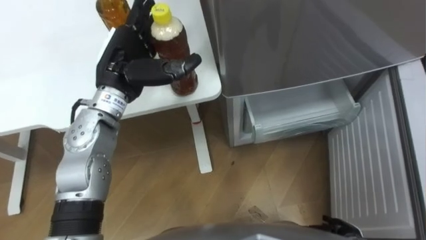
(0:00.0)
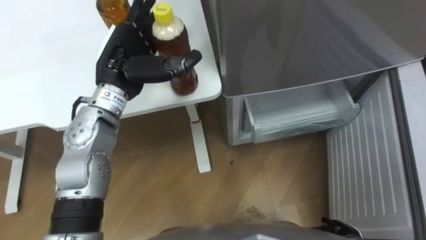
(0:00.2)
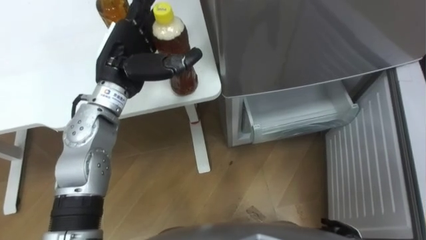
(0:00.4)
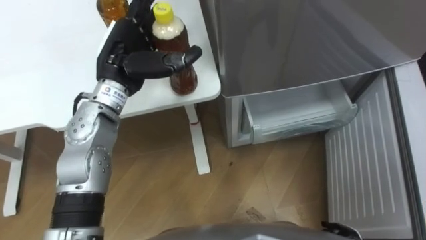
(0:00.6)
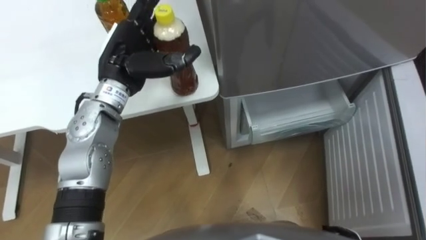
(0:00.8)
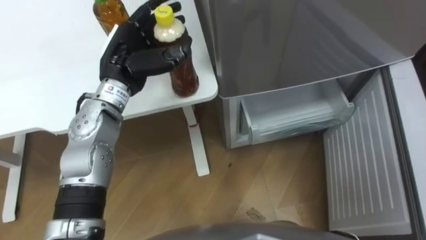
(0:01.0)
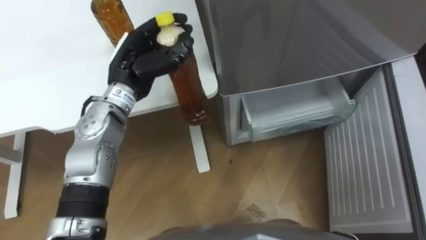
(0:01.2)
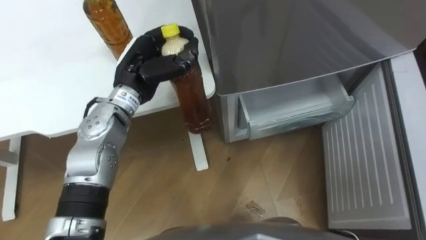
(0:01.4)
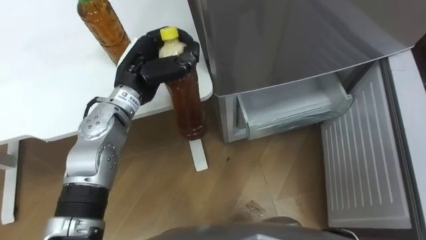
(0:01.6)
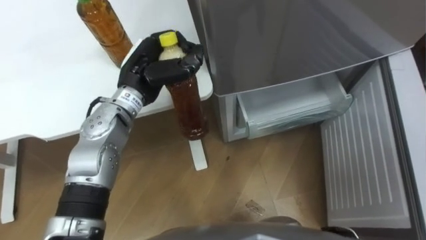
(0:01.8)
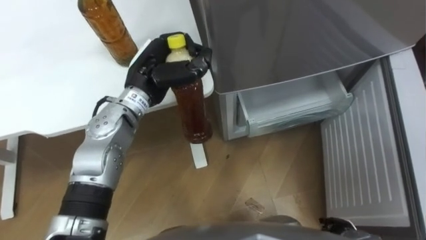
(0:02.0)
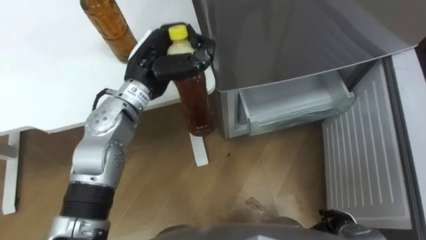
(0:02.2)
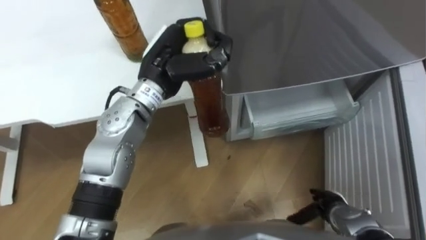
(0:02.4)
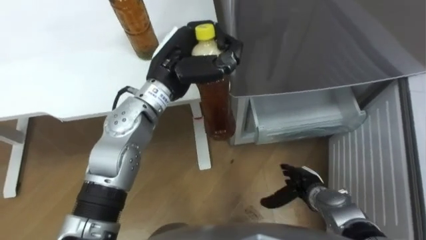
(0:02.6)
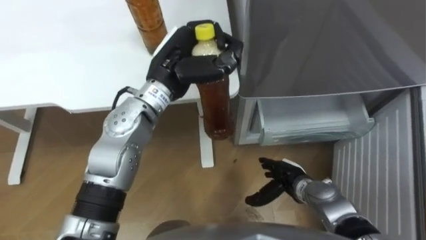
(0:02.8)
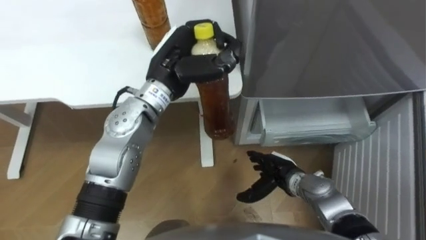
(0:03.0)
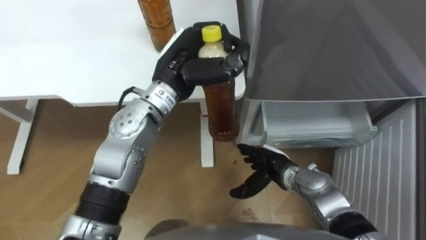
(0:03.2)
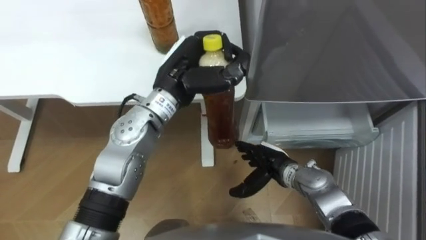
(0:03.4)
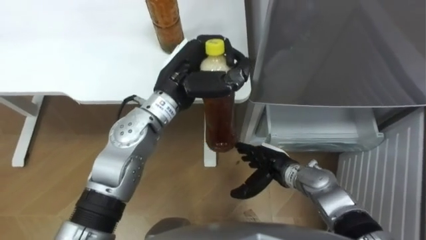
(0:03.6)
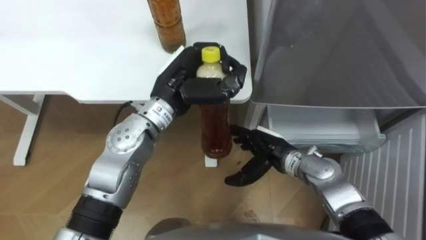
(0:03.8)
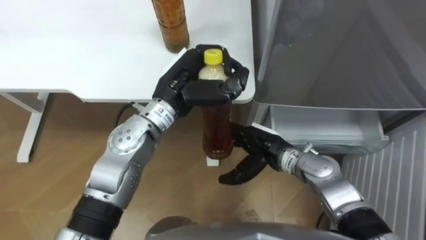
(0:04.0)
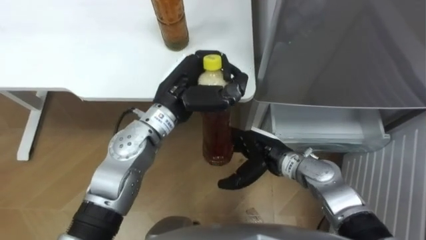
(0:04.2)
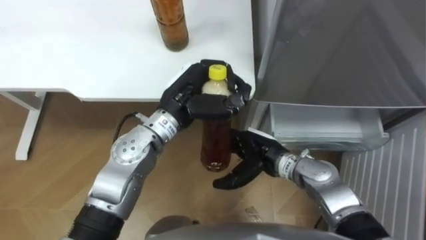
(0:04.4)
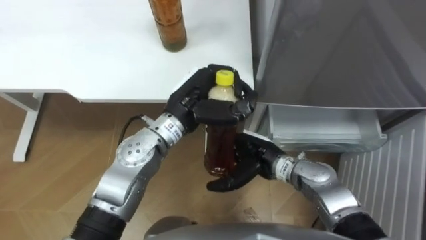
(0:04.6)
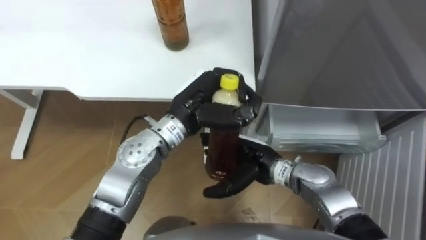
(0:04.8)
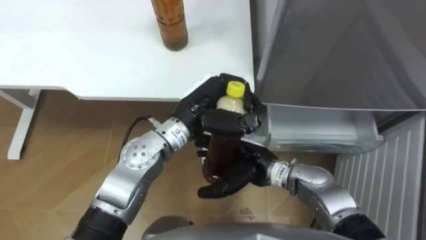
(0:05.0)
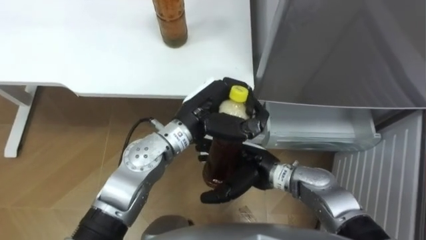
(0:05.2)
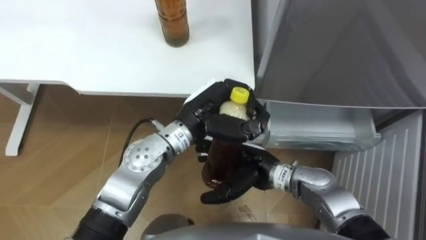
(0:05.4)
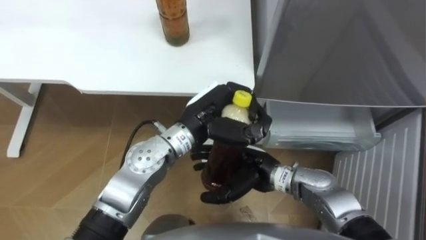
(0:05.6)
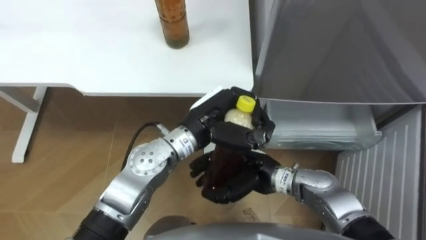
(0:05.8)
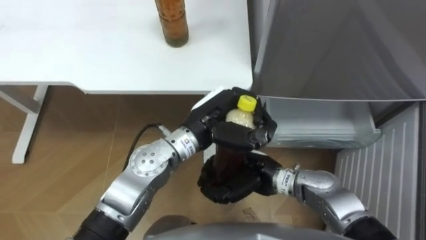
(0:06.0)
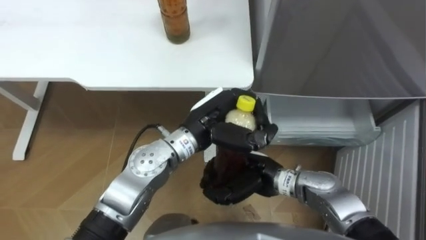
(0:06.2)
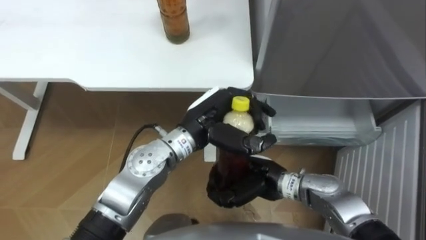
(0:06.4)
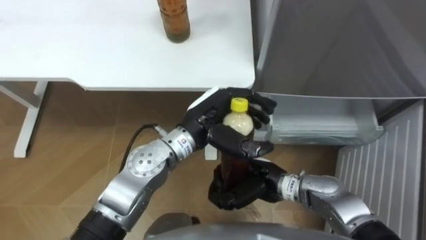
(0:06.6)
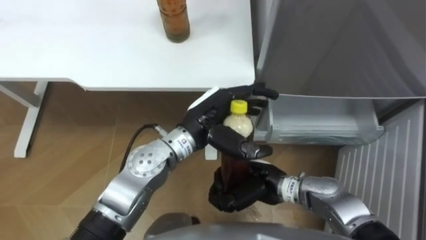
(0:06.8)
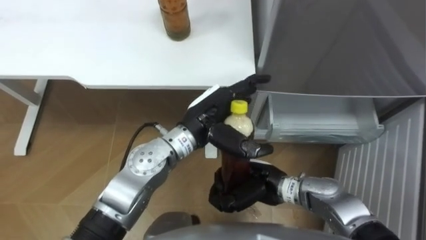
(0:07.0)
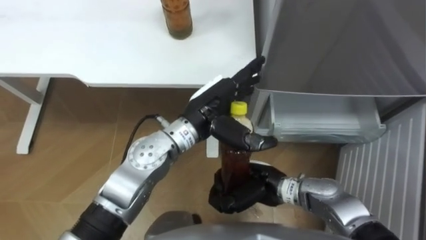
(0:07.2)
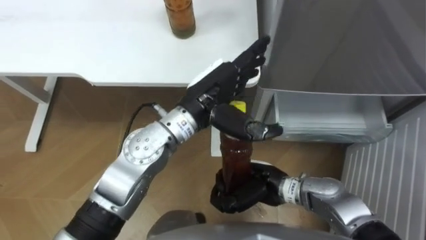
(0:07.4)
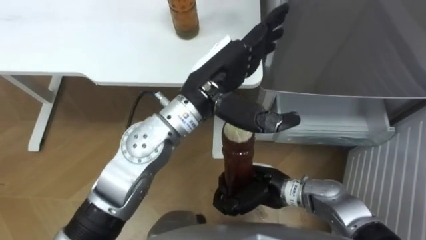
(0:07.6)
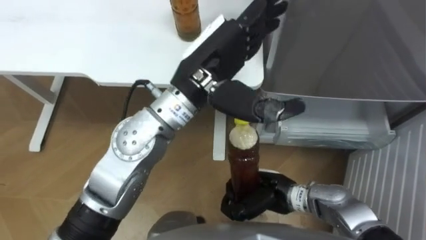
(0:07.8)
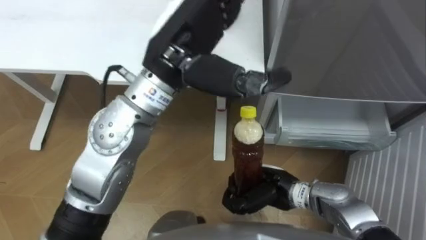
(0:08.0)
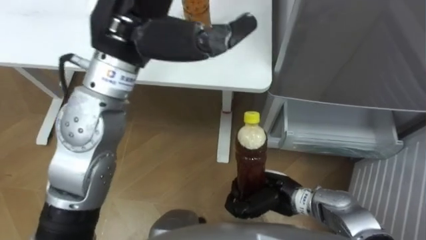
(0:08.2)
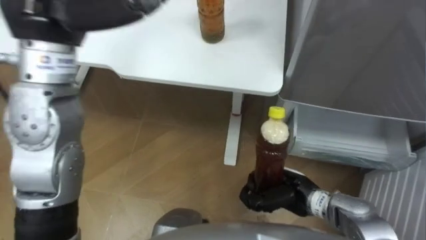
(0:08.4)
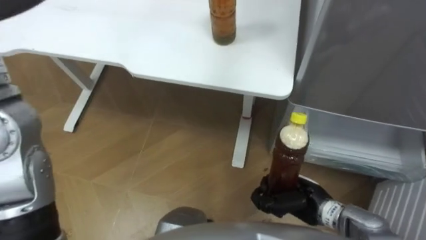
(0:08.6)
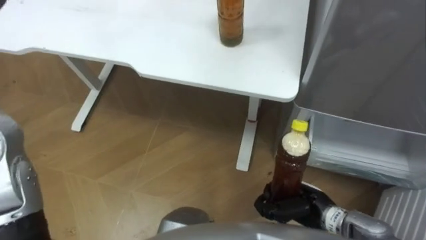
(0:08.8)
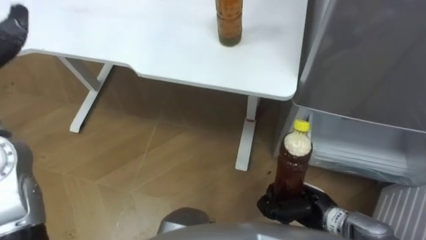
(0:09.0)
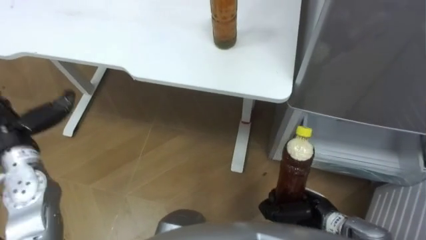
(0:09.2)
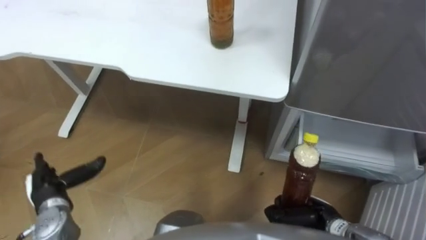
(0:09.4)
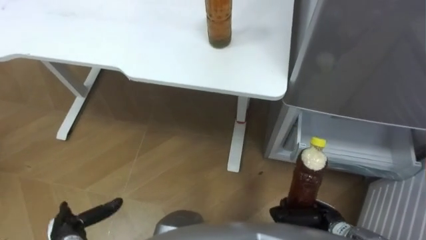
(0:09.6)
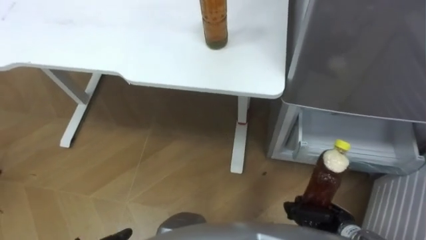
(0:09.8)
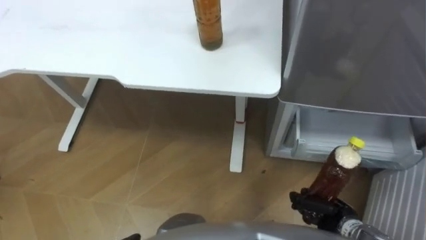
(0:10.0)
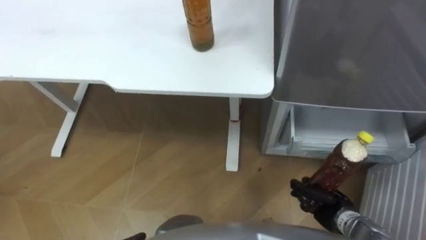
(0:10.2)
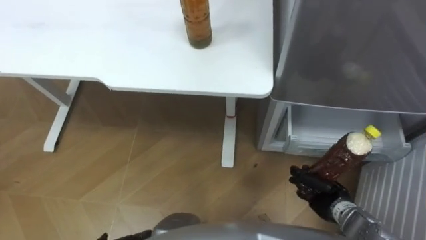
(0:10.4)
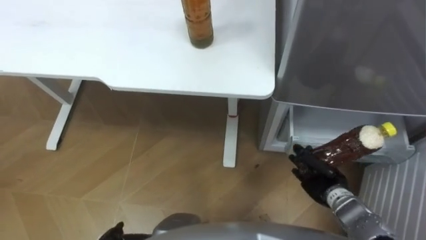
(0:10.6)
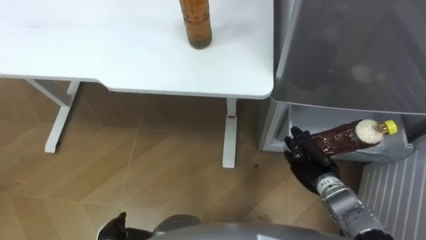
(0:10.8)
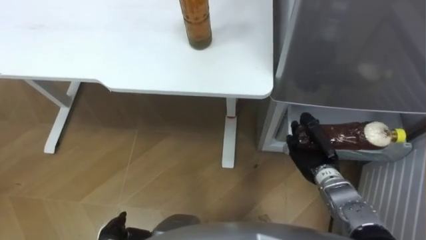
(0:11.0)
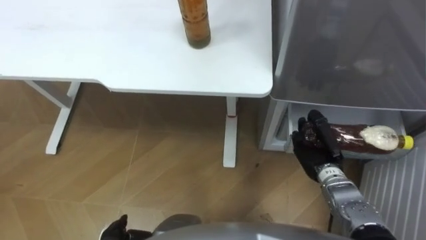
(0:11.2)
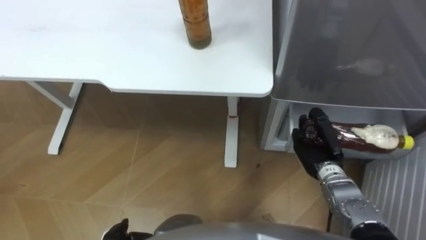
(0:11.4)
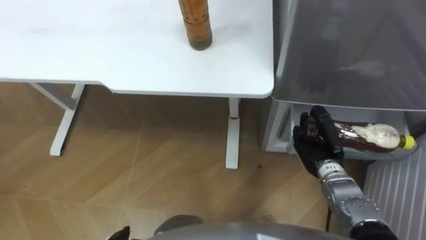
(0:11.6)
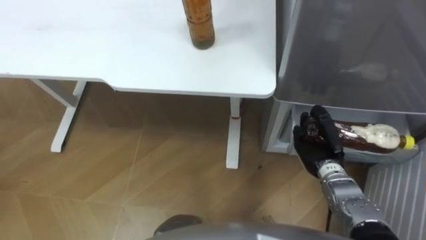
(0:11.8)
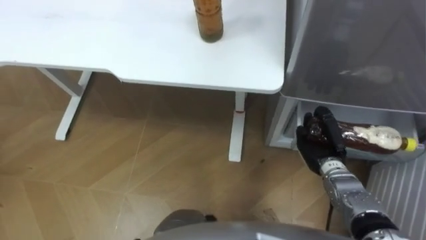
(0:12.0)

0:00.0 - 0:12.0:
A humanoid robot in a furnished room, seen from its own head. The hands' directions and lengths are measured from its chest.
Task of the whole recording: Place the drink on the table on the bottom shelf of the refrigerator, then close the drawer and the refrigerator door.
0:00.0 - 0:01.6: The left hand closes its fingers.
0:01.6 - 0:03.0: The left hand is displaced to the right by about 5 cm.
0:03.0 - 0:04.4: The right hand goes some 10 cm upward and to the left. Meanwhile the left hand ends up roughly 5 cm from where it was.
0:04.4 - 0:06.0: The right hand closes up; the left hand moves some 5 cm.
0:06.0 - 0:07.6: The left hand travels upward by about 10 cm, and opens up.
0:07.6 - 0:09.0: The right hand is displaced to the right by roughly 10 cm.
0:09.0 - 0:10.4: The right hand is displaced to the right by approximately 5 cm.
0:10.4 - 0:12.0: The right hand travels forward by some 10 cm.

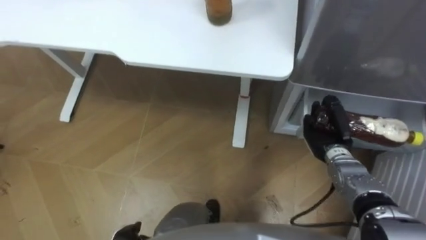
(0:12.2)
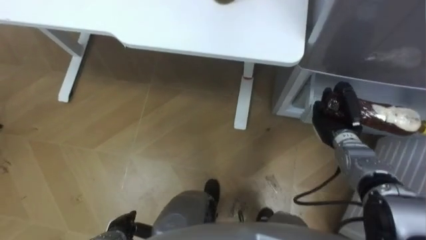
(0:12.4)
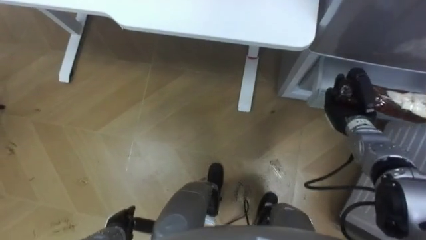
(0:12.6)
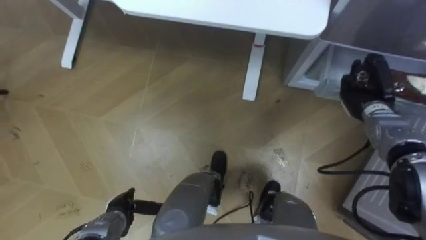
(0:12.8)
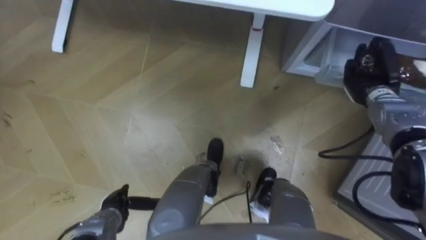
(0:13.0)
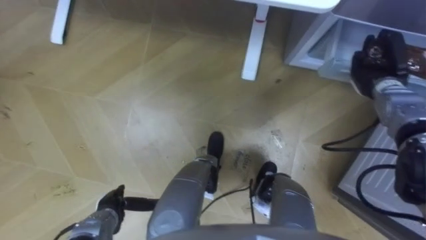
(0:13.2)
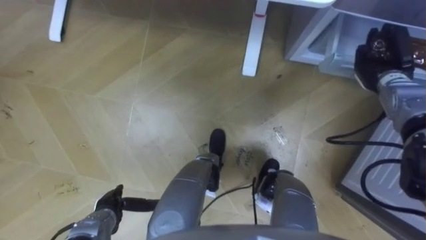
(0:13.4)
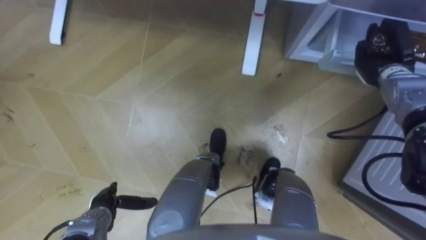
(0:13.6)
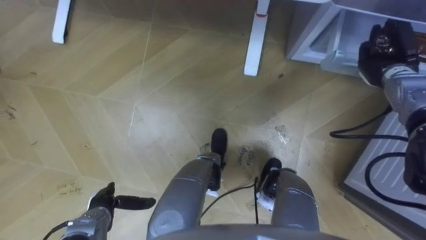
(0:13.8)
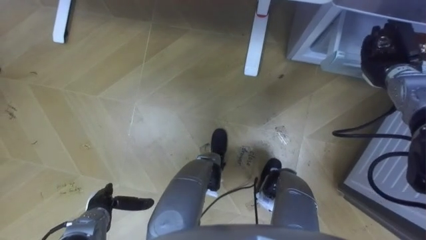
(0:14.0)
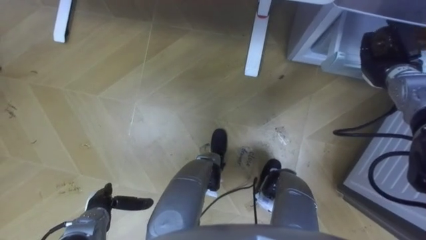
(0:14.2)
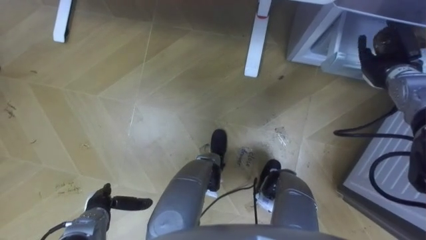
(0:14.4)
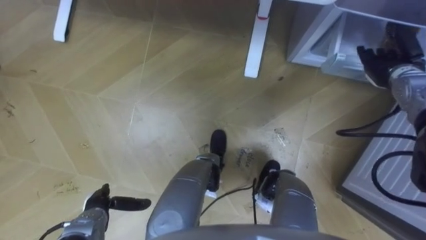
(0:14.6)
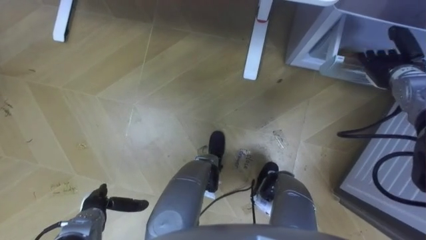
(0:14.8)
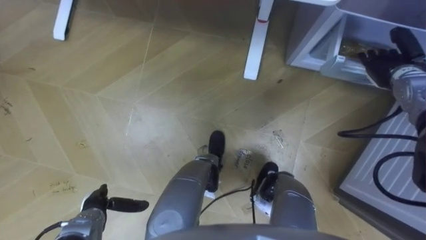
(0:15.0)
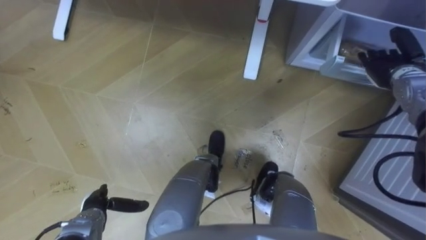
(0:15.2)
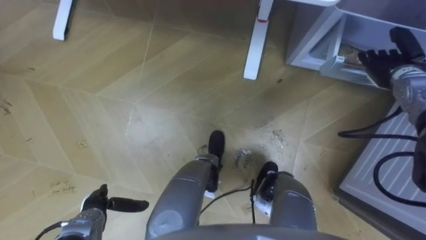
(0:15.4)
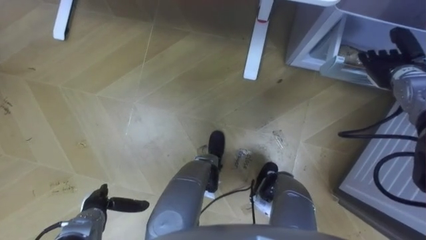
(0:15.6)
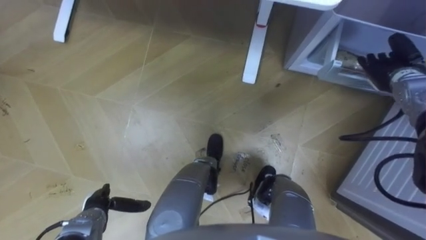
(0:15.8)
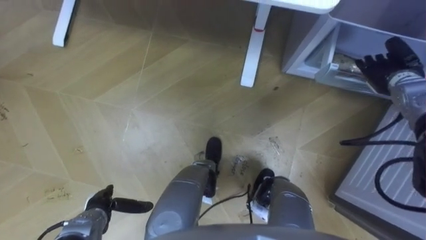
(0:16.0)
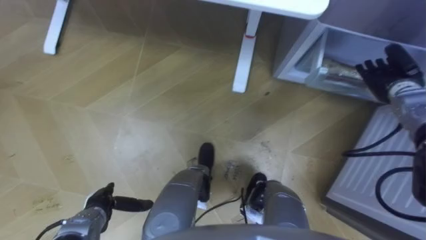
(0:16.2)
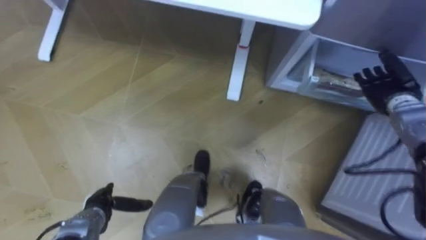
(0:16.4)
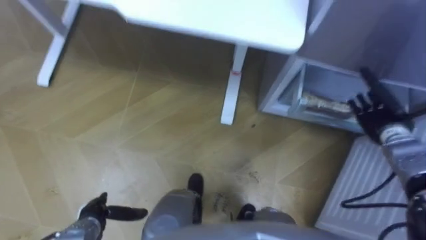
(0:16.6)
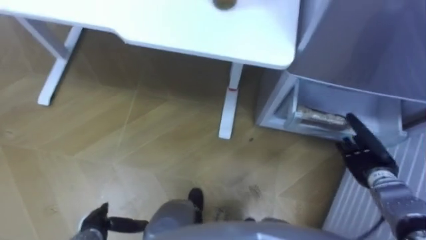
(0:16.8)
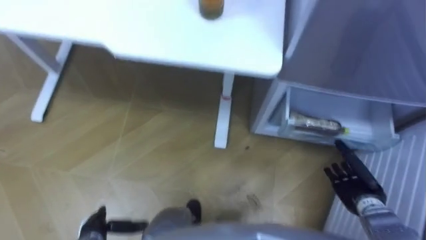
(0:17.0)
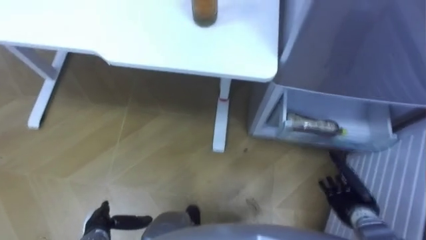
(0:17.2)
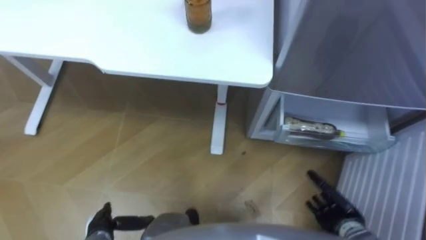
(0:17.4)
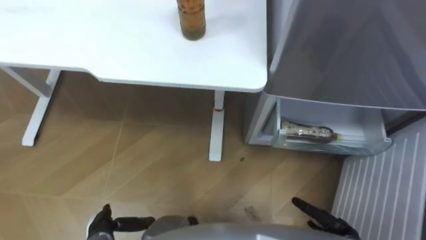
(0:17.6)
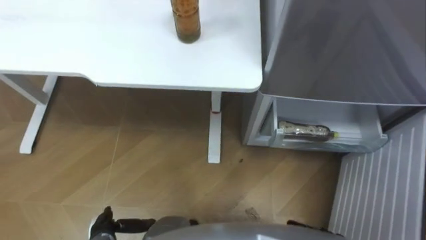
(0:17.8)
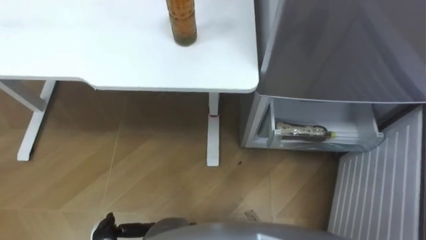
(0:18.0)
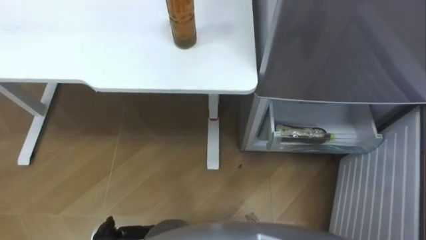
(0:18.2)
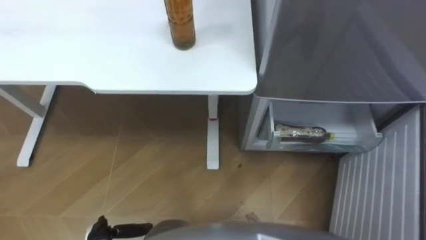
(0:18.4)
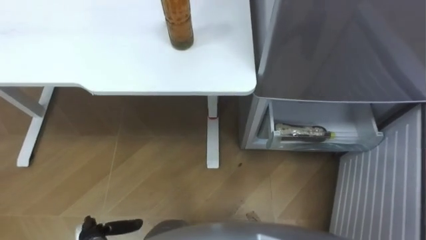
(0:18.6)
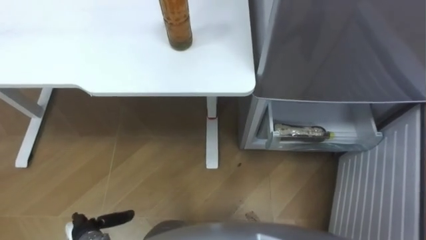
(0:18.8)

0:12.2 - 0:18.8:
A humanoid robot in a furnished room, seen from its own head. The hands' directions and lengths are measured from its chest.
Task of the whole recording: Place the drink on the table on the bottom shelf of the refrigerator, then close the drawer and the refrigerator door.
0:12.2 - 0:13.8: The right hand goes approximately 20 cm forward, upward and to the right.
0:13.8 - 0:15.4: The right hand opens.
0:15.4 - 0:17.2: The right hand travels backward and downward by approximately 30 cm.
